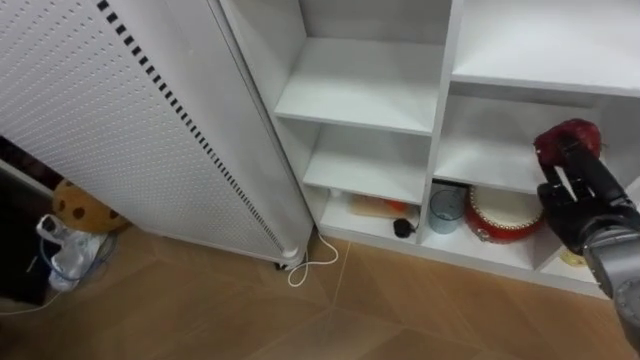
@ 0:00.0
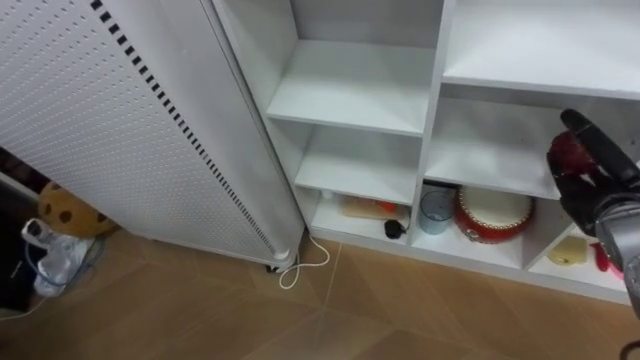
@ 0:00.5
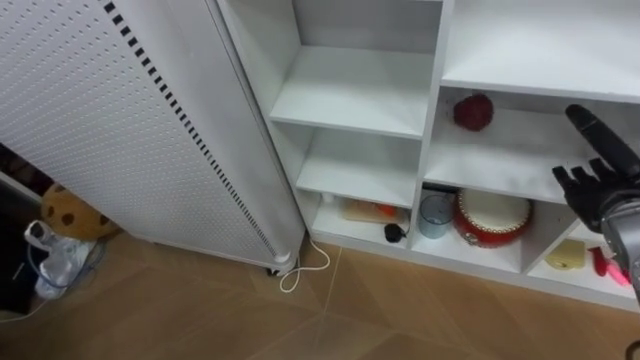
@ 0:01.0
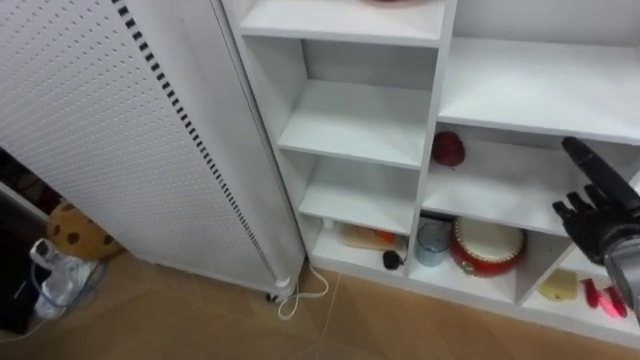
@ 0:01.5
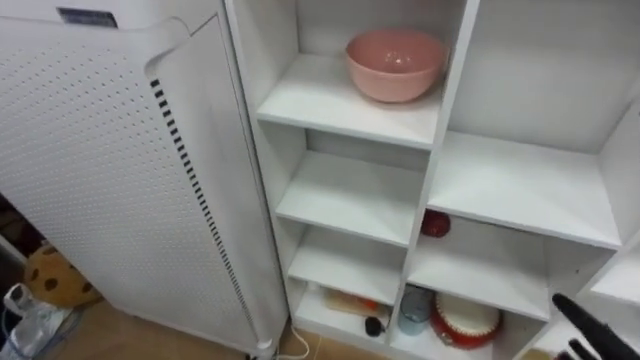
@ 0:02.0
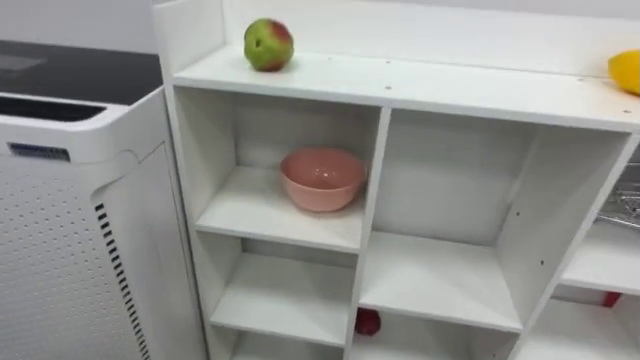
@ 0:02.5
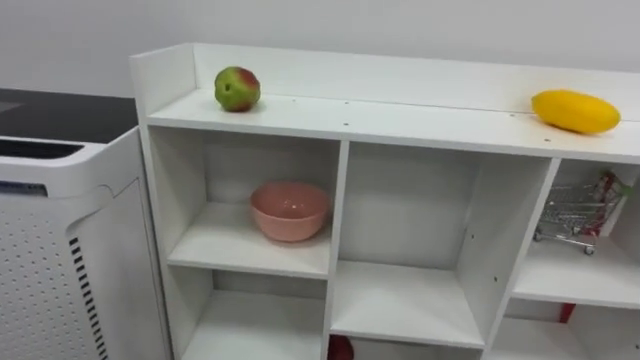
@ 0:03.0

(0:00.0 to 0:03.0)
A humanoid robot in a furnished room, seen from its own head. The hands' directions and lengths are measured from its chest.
Task of the whole recording: Put the apple in the cell in the second column from the left and the second row from the top.
0:00.0 - 0:01.5: The right hand opens up.

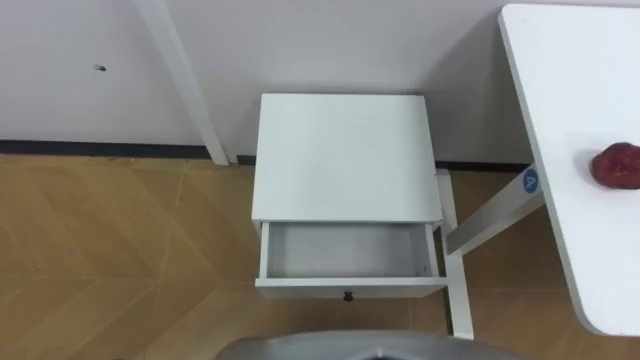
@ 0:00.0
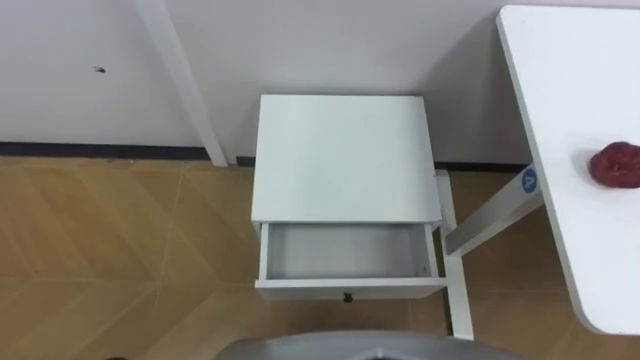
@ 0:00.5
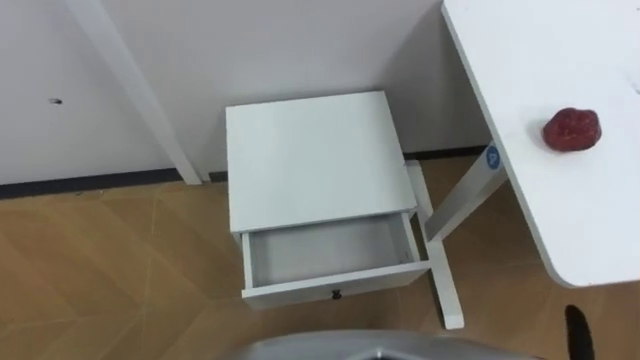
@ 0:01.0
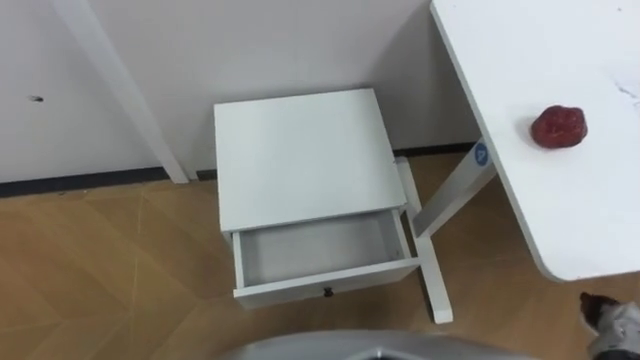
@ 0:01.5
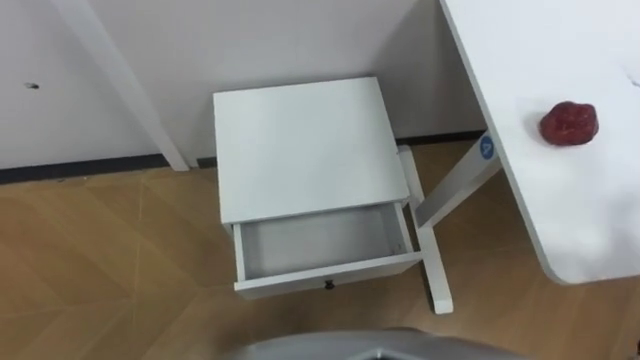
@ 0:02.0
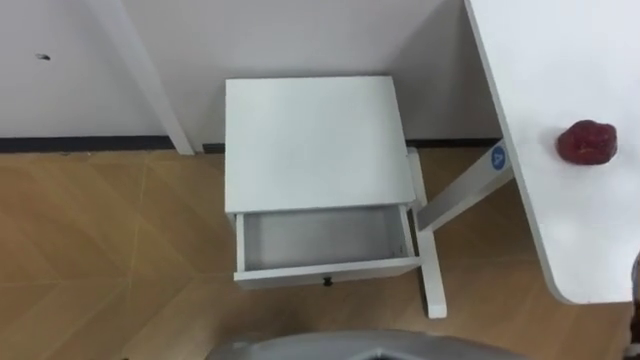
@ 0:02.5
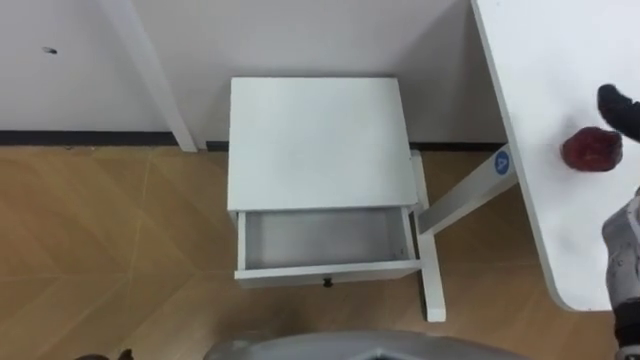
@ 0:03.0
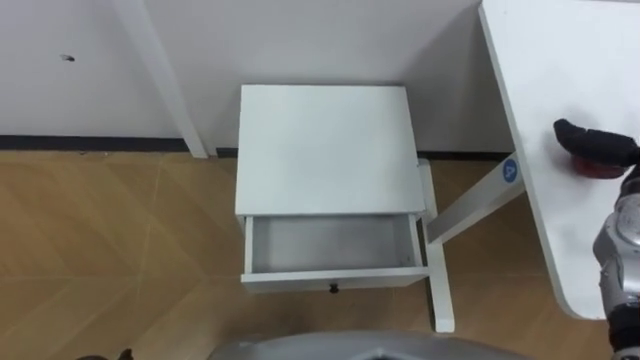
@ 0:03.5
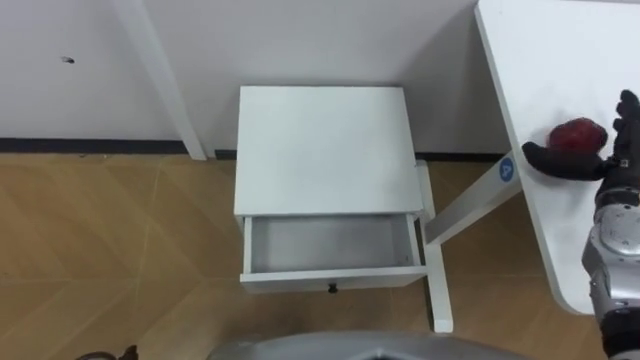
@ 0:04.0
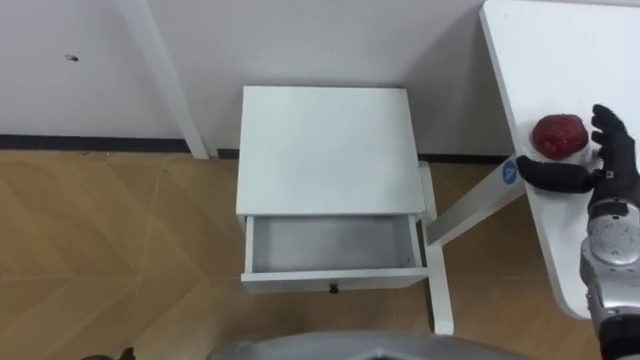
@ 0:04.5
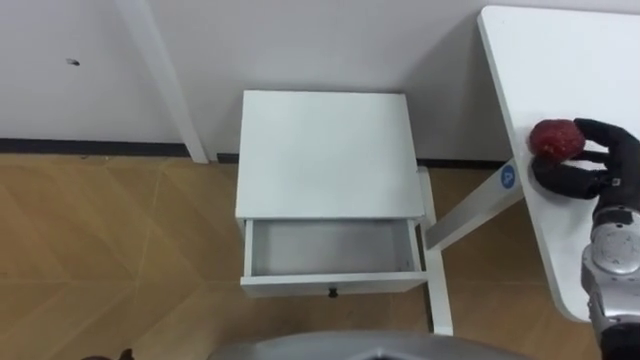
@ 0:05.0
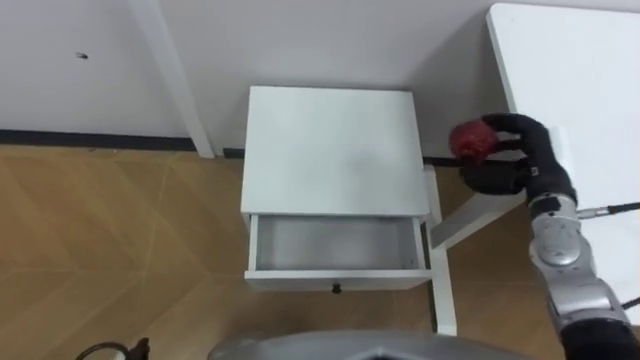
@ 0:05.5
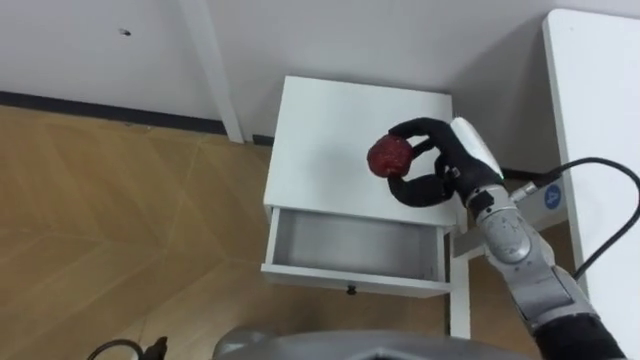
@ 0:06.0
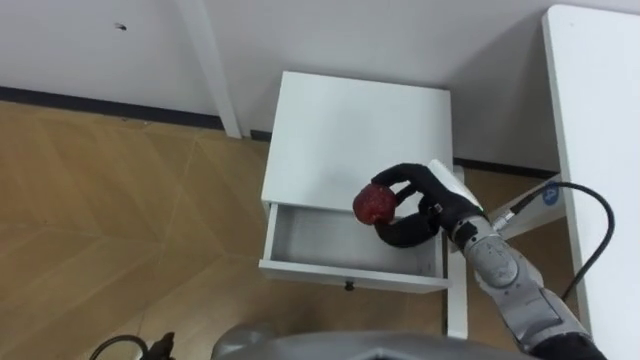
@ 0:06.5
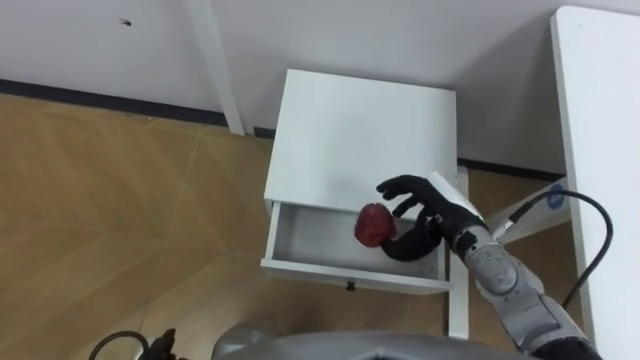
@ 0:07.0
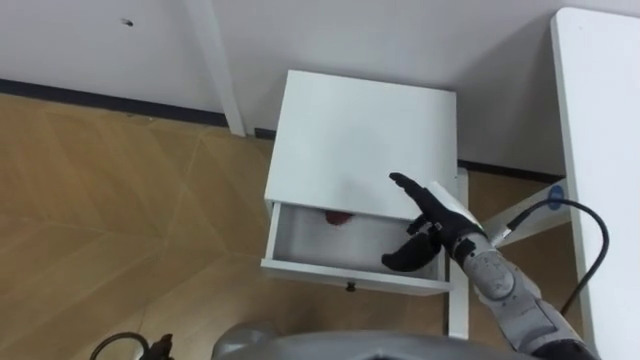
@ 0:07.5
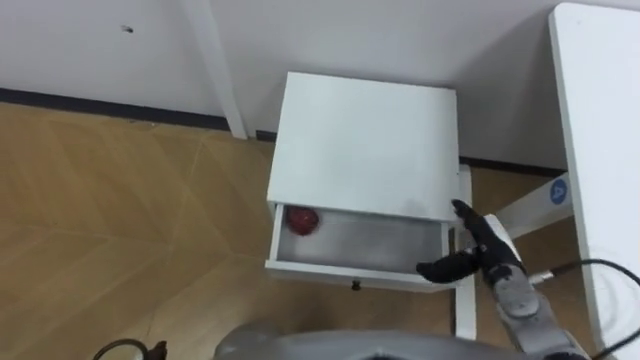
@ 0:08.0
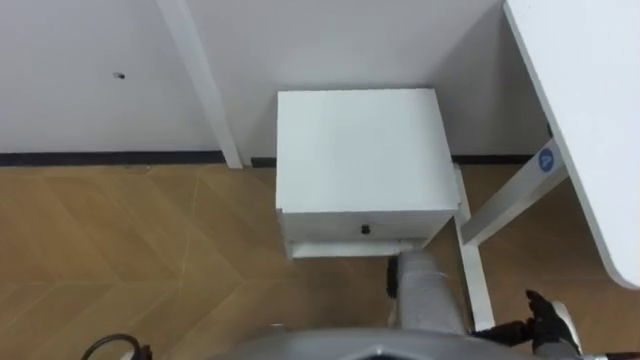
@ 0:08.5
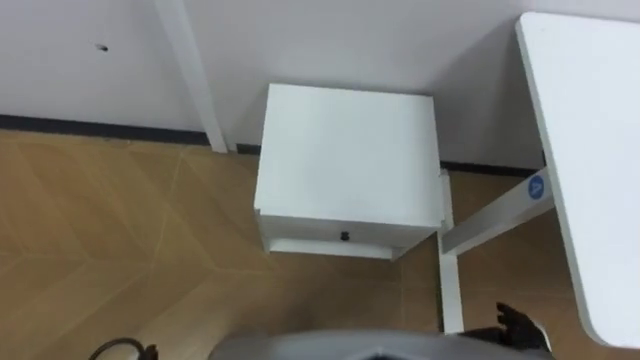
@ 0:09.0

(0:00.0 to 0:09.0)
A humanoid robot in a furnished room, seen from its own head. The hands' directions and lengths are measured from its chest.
Task of the whole recording: Pick up the apple from the table, put it in the drawer, and close the drawer with leg.
0:04.5 - 0:07.0: The right hand is displaced to the left by some 20 cm, and closes its fingers.
0:07.0 - 0:09.0: The right hand is displaced backward, downward and to the right by approximately 25 cm, and opens its fingers.

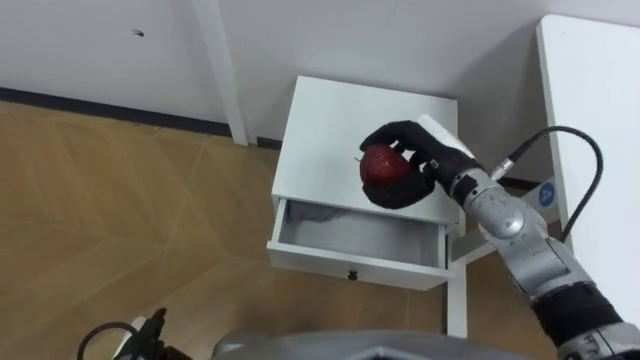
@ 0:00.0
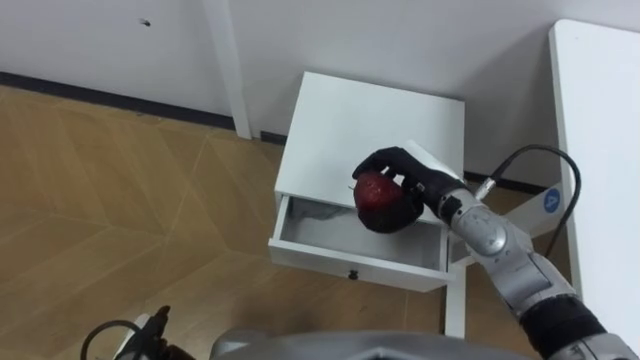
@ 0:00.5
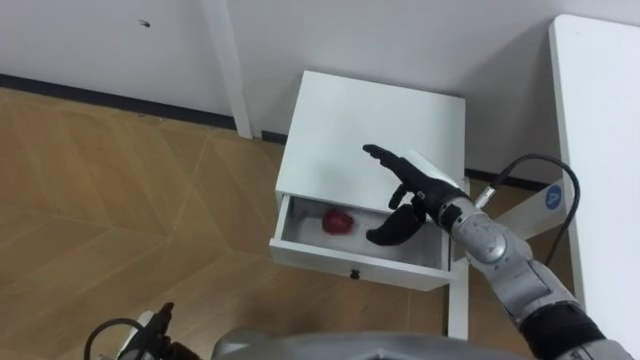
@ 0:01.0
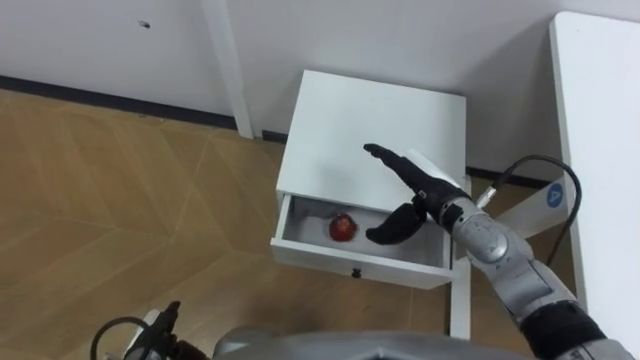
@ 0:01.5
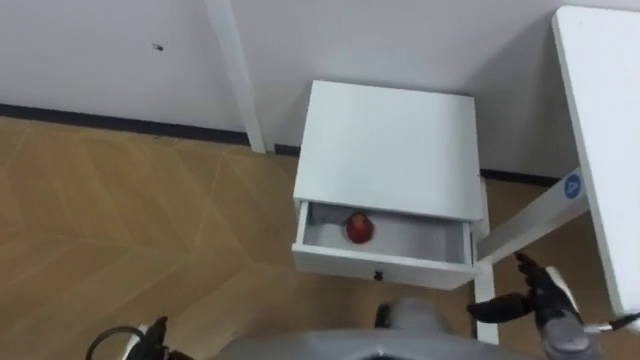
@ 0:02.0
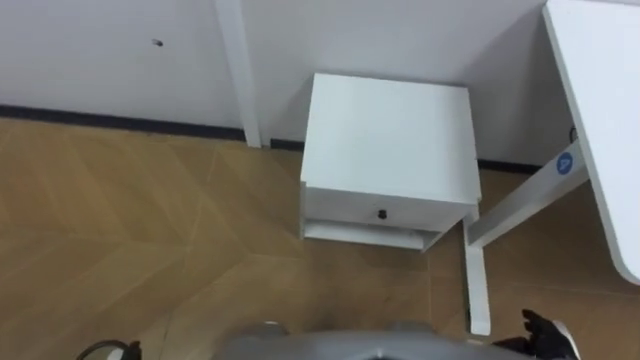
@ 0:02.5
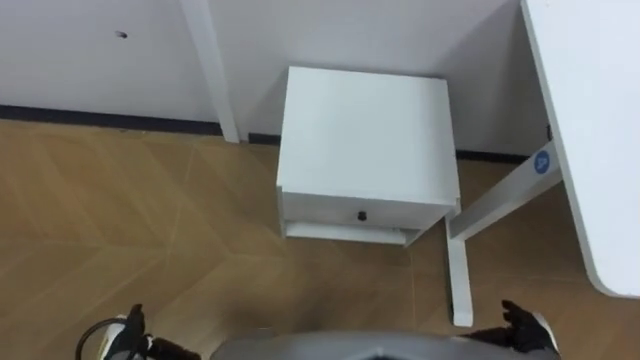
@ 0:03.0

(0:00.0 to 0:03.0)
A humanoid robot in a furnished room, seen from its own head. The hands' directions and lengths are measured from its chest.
Task of the whole recording: Pick up the apple from the table, put it in the drawer, and close the drawer with leg.
0:00.0 - 0:01.5: The right hand ends up approximately 5 cm from where it was, and opens.
0:01.5 - 0:03.0: The right hand travels backward, to the right and downward by some 30 cm.

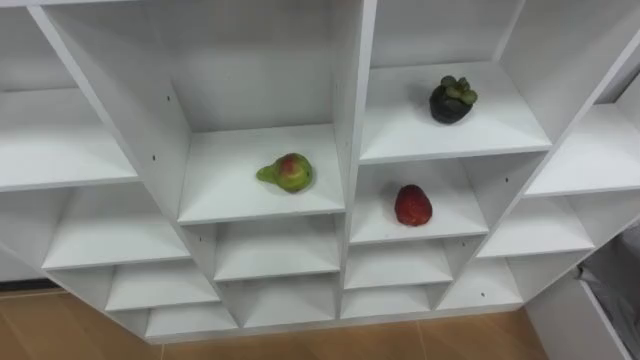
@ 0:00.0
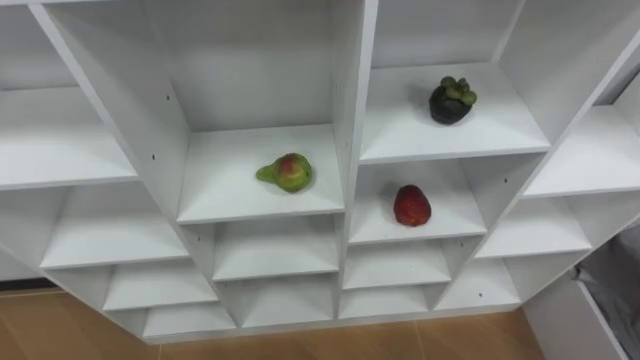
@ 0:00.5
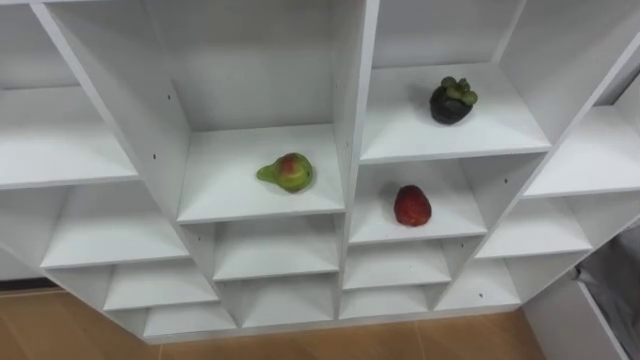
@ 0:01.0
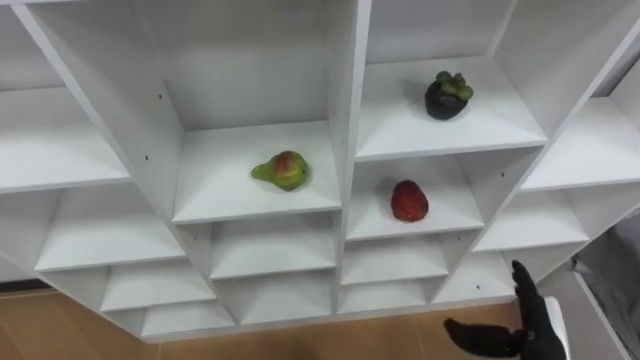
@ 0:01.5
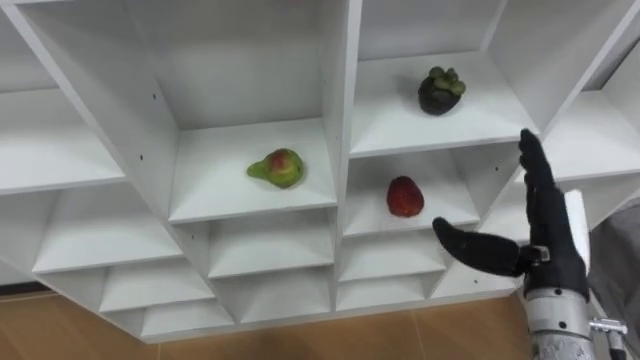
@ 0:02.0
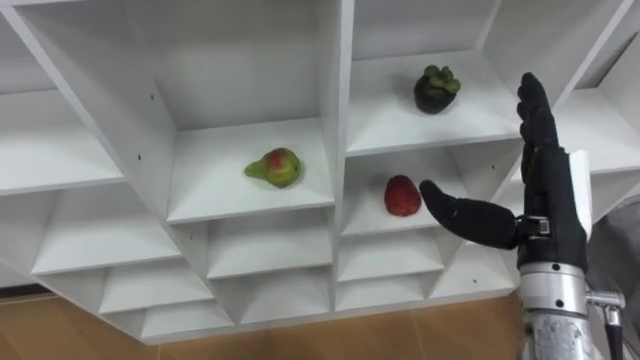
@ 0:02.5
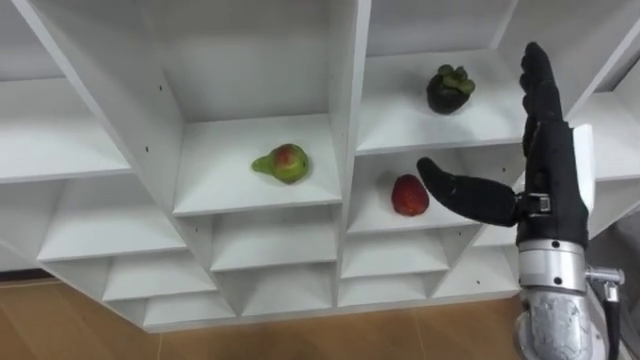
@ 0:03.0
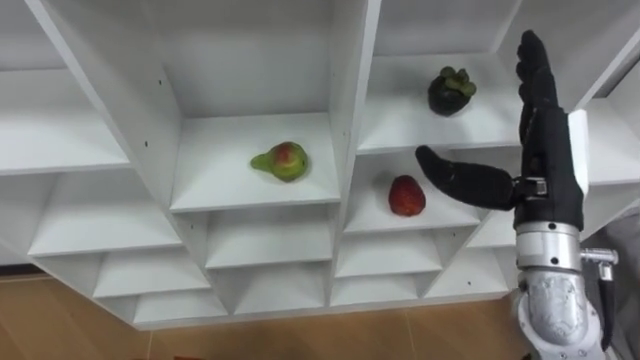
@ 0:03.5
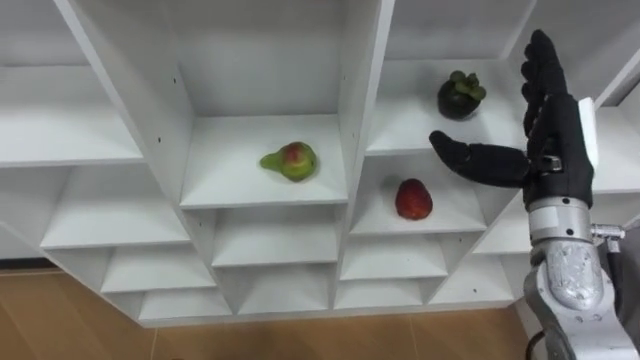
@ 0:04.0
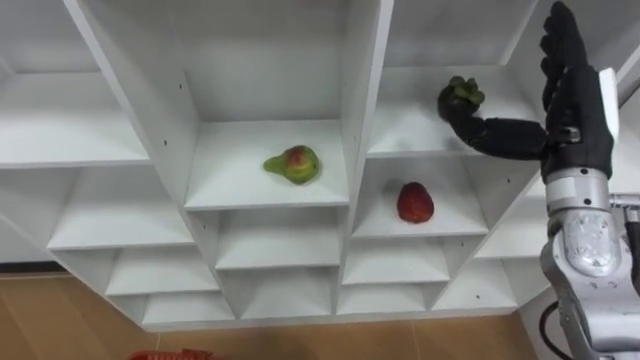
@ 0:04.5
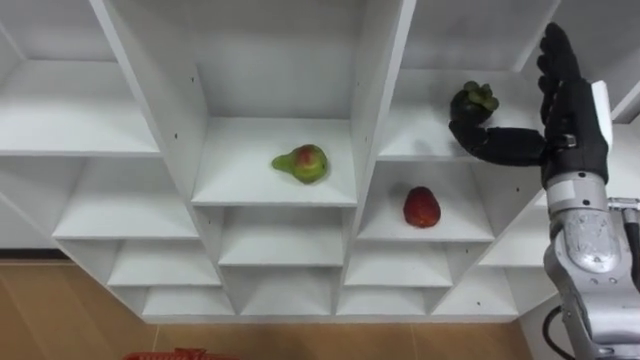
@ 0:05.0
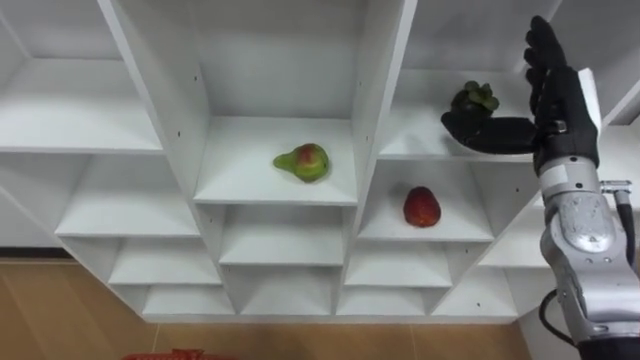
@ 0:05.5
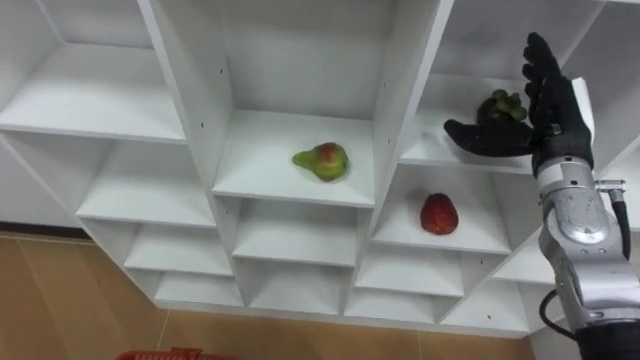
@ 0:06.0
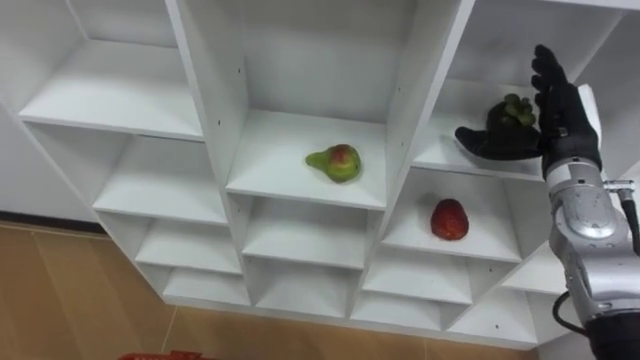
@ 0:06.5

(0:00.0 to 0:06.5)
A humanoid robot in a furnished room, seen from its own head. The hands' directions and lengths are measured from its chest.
Task of the whole recording: Hold the basket and collect the fruits from 3 different cells of the closet into it.
0:02.0 - 0:04.5: The right hand heads forward and upward, covering some 10 cm.
0:04.5 - 0:06.5: The right hand shifts about 5 cm downward.
